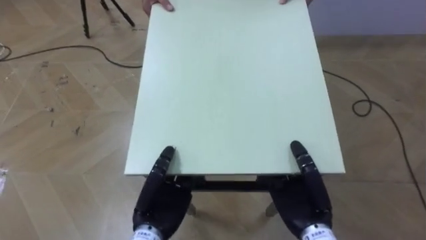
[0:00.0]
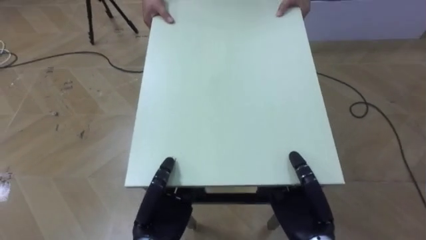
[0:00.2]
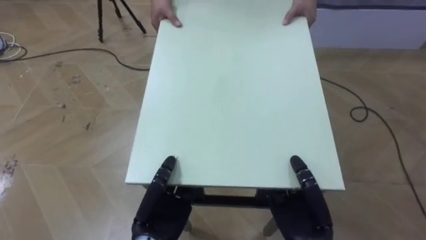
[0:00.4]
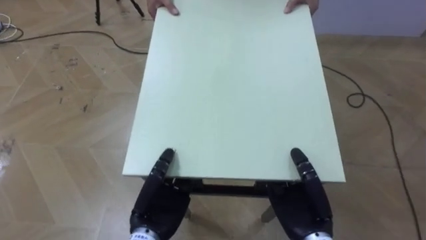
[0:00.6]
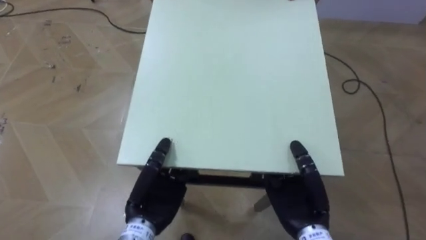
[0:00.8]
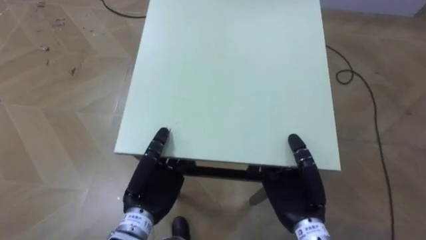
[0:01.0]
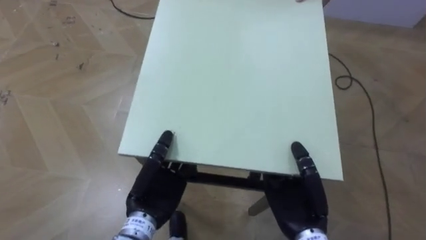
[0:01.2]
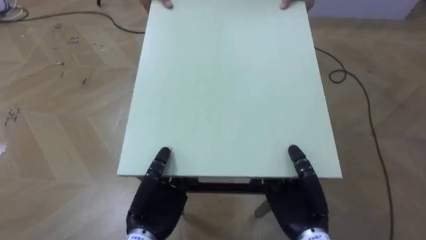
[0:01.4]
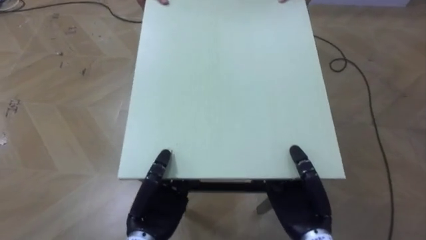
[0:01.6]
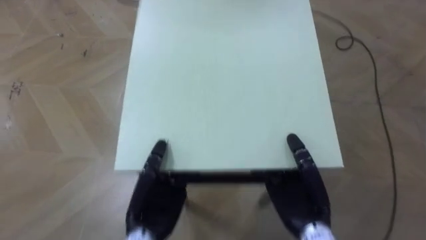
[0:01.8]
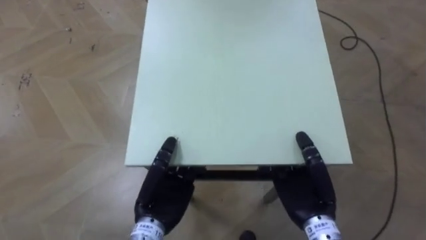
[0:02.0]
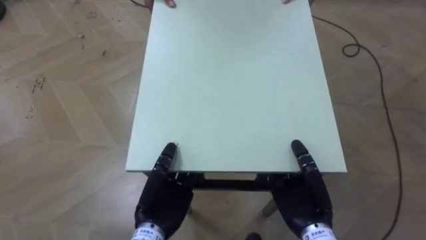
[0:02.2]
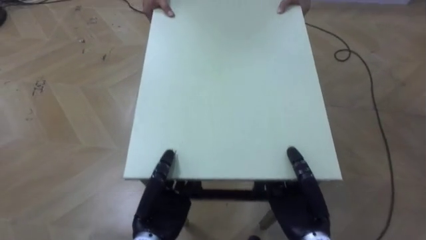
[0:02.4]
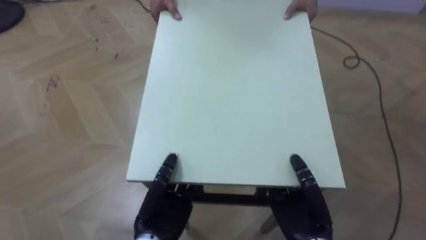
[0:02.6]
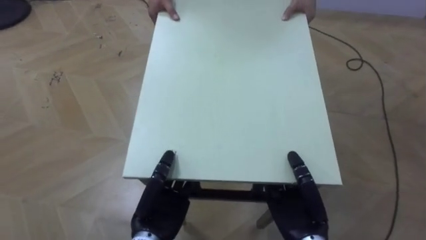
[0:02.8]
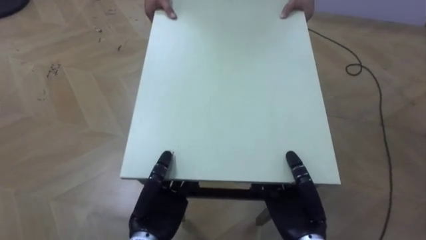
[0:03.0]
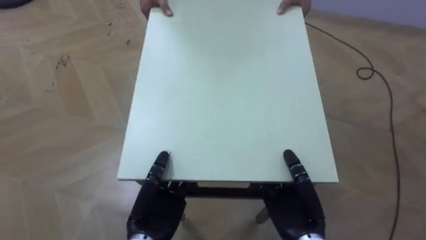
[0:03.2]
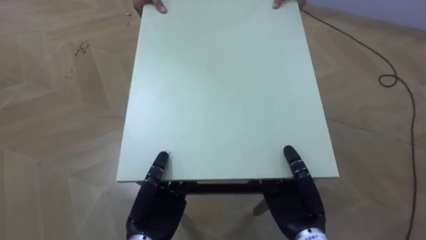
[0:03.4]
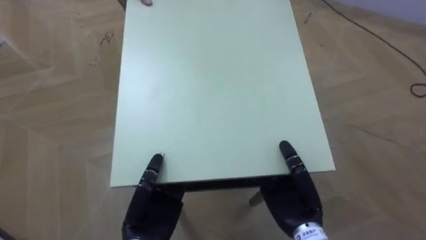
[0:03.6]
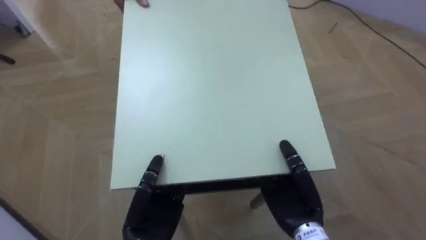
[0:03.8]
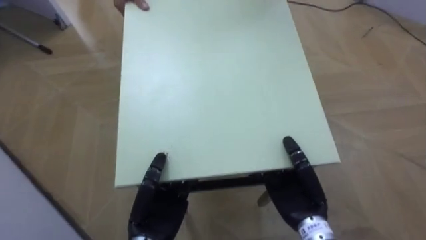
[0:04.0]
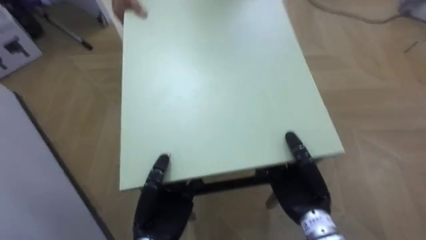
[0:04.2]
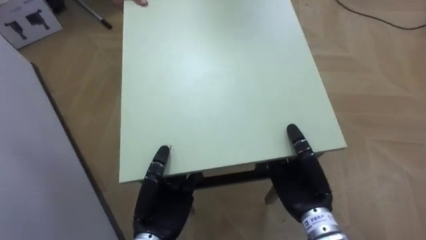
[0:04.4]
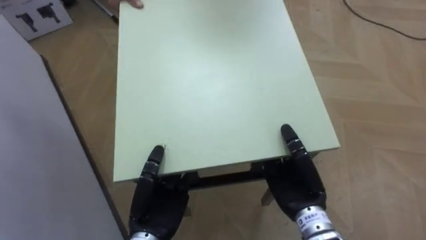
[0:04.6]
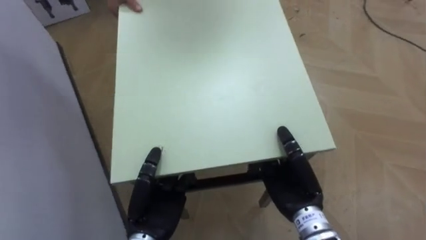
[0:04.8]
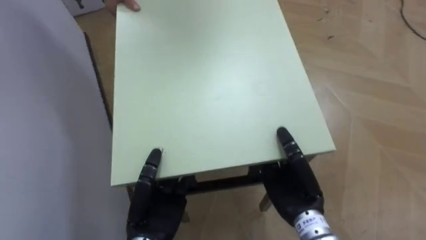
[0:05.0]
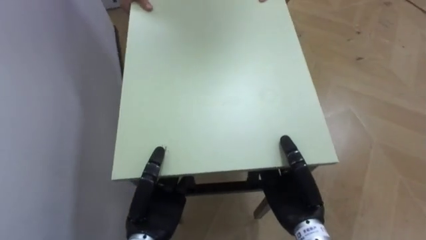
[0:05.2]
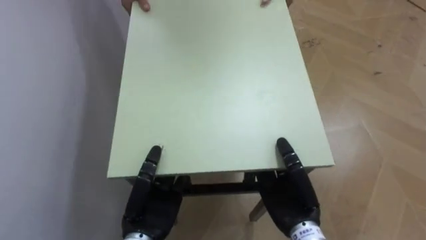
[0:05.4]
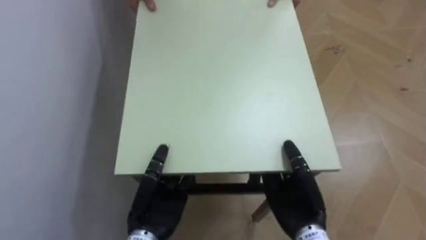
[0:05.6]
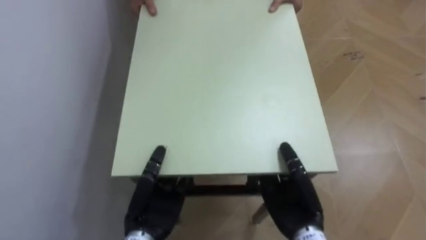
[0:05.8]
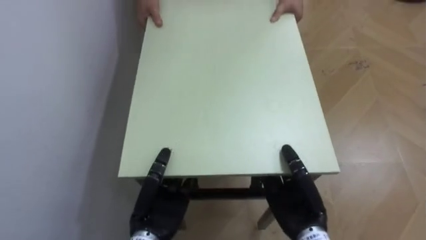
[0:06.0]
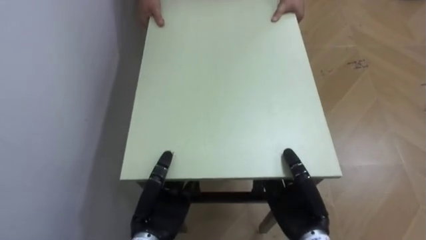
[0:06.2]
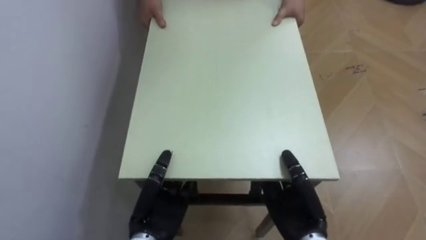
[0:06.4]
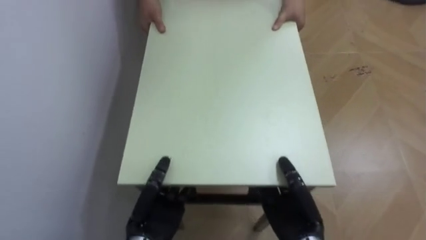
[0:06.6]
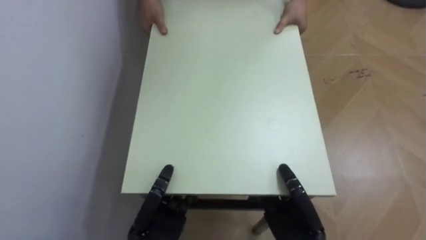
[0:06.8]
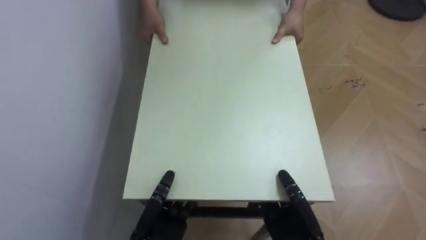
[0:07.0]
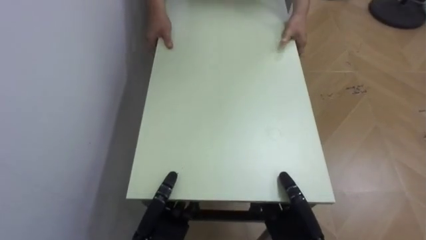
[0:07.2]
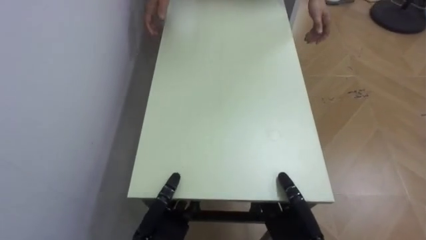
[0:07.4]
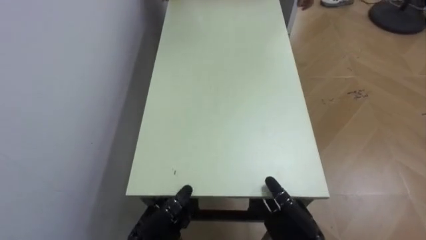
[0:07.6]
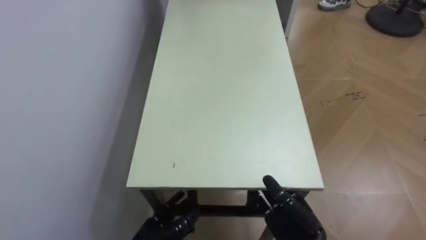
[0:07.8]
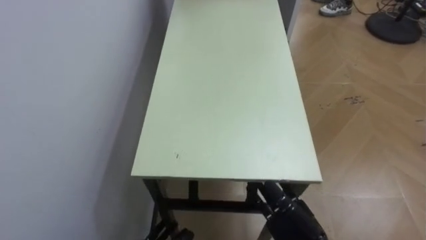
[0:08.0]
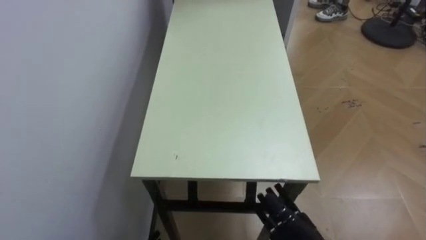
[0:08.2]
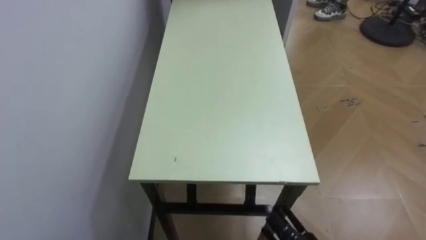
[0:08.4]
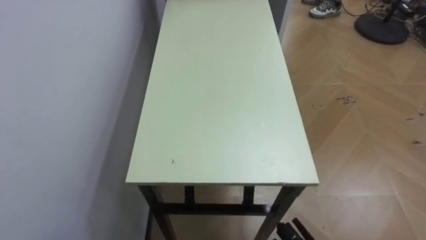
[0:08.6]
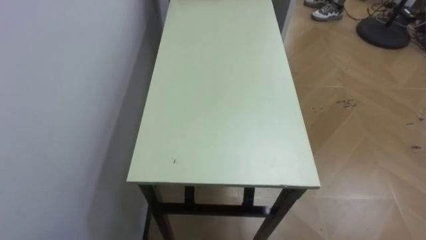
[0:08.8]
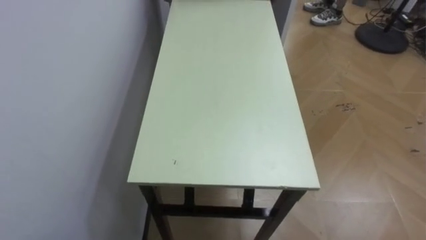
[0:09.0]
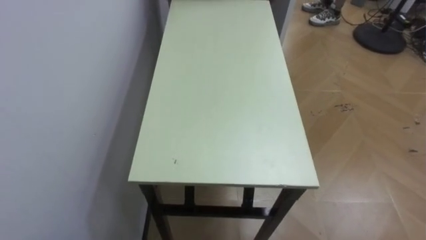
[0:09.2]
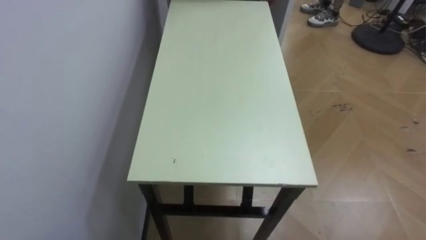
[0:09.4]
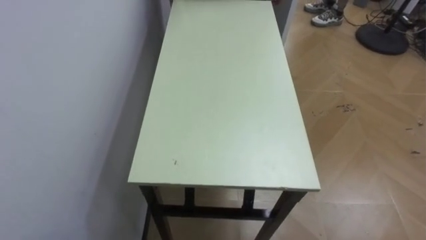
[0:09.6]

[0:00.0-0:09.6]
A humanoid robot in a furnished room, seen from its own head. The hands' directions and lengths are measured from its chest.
Task of the whole recording: Move the table to the back left with someone.
0:03.2 to 0:04.8: The robot rotates approximately 40 degrees to its left.
0:04.8 to 0:06.4: The robot's body swings some 40 degrees to its left.
0:06.4 to 0:08.0: The right hand opens its fingers.

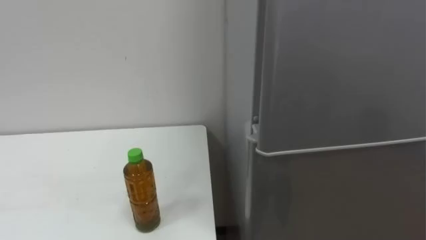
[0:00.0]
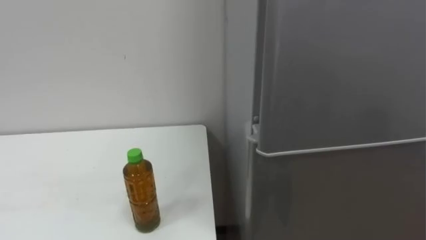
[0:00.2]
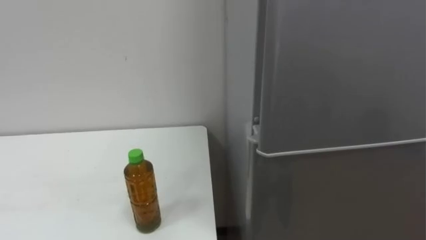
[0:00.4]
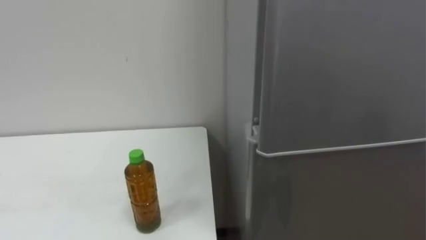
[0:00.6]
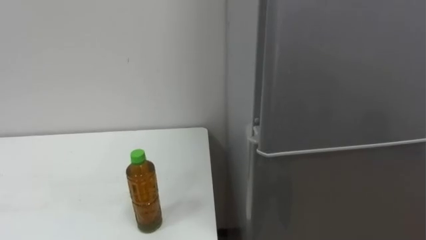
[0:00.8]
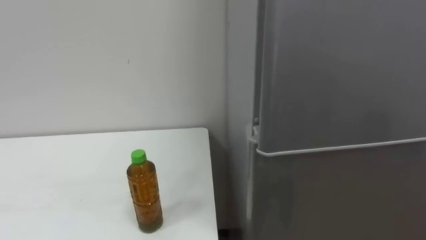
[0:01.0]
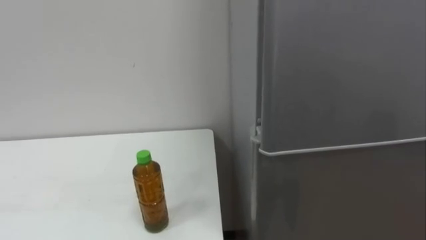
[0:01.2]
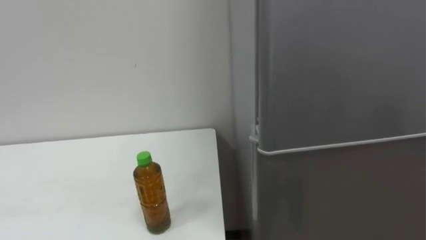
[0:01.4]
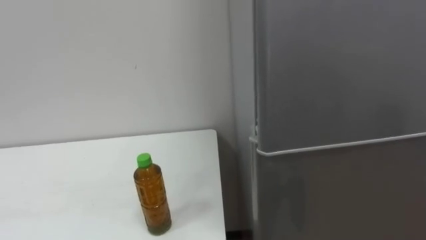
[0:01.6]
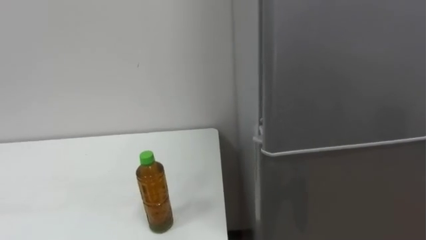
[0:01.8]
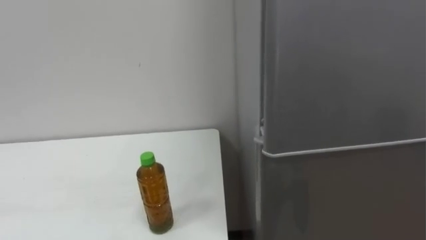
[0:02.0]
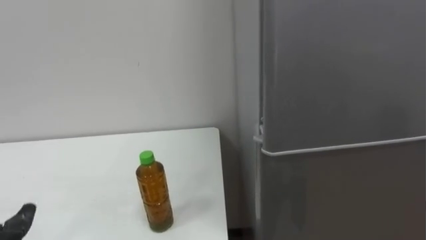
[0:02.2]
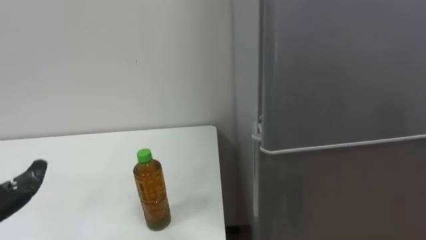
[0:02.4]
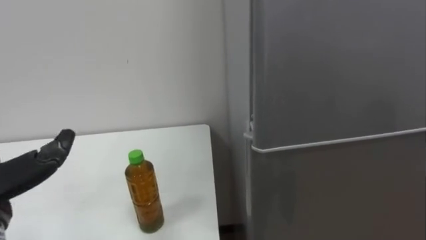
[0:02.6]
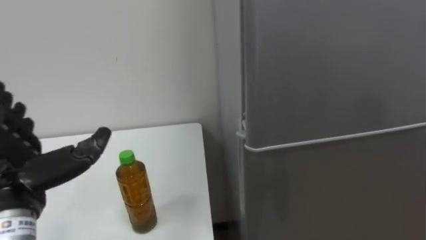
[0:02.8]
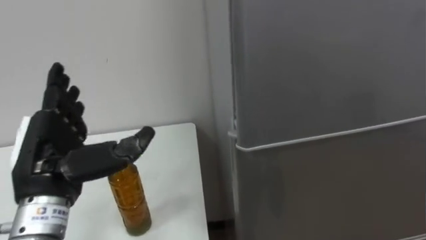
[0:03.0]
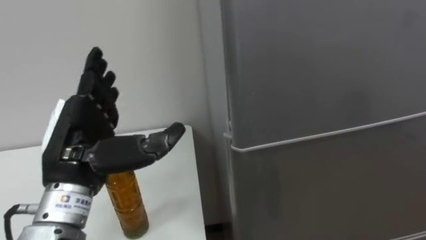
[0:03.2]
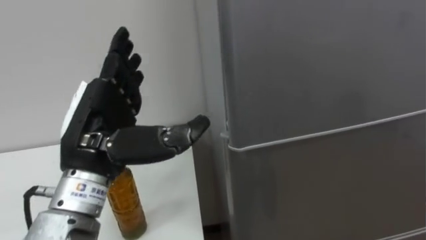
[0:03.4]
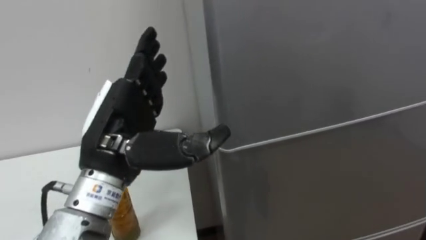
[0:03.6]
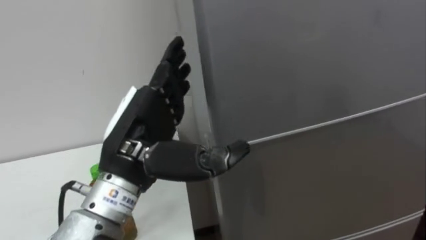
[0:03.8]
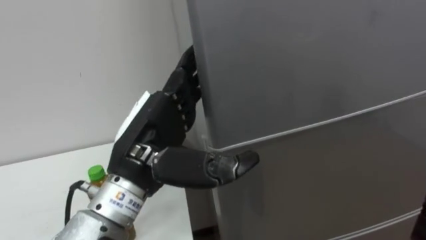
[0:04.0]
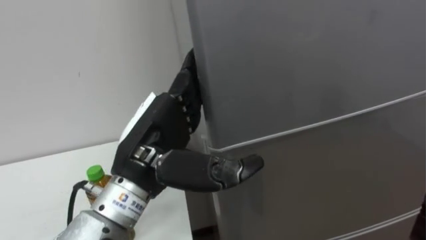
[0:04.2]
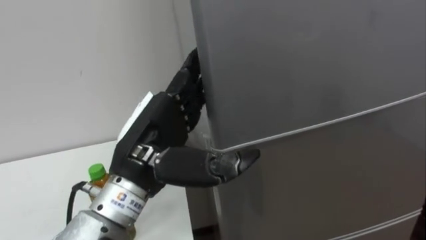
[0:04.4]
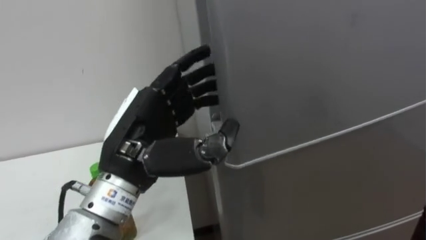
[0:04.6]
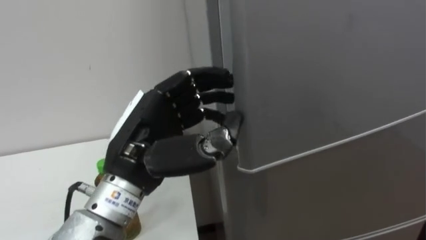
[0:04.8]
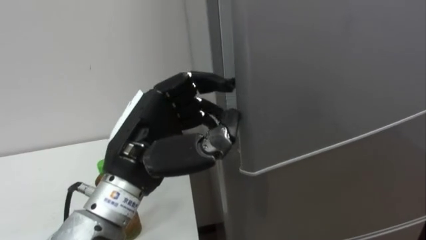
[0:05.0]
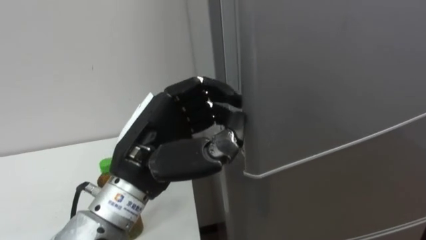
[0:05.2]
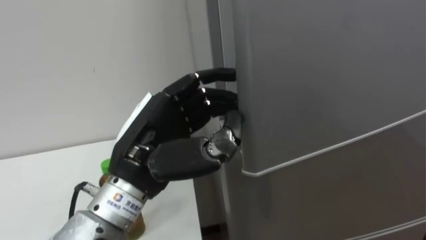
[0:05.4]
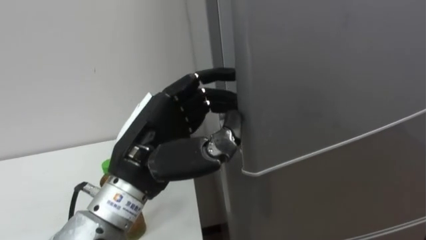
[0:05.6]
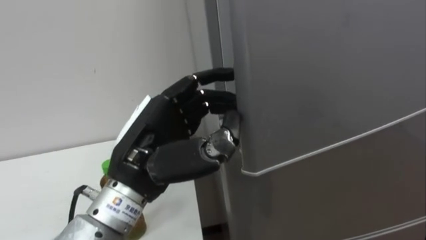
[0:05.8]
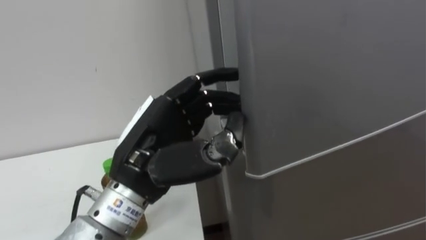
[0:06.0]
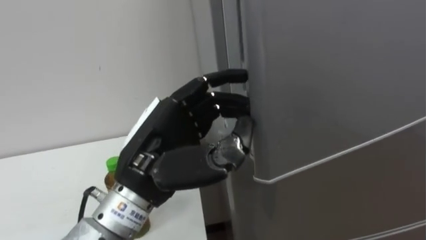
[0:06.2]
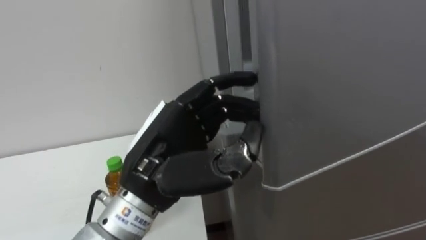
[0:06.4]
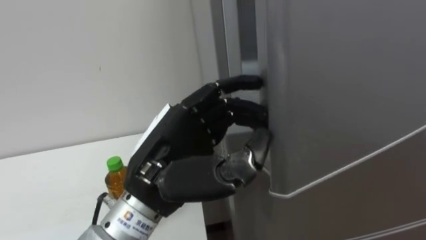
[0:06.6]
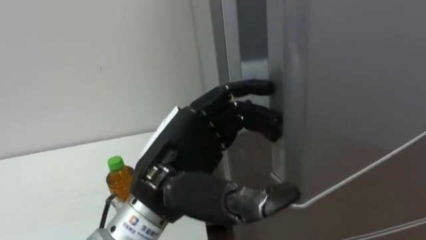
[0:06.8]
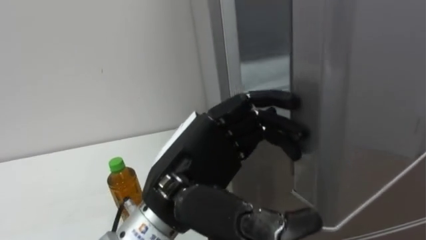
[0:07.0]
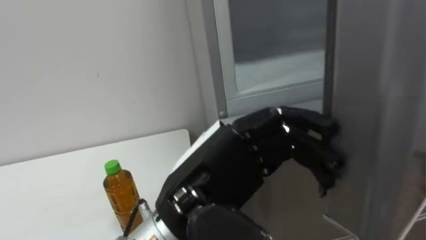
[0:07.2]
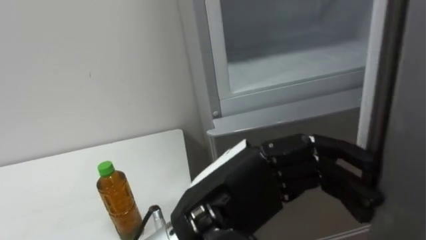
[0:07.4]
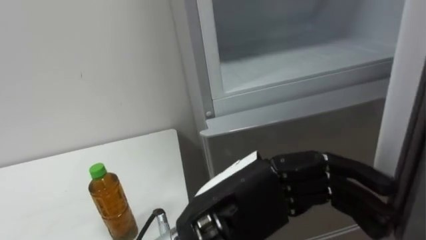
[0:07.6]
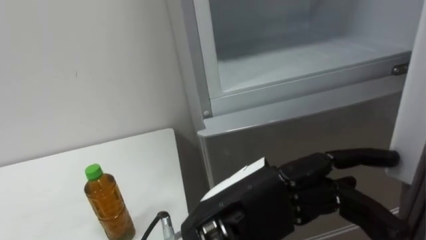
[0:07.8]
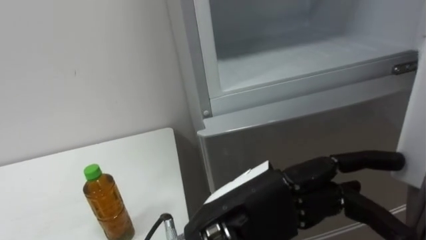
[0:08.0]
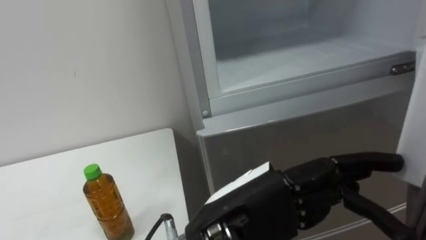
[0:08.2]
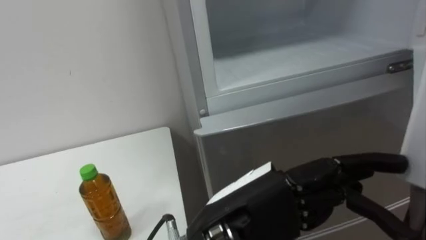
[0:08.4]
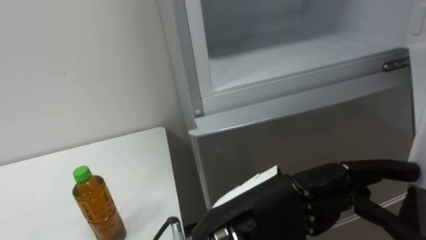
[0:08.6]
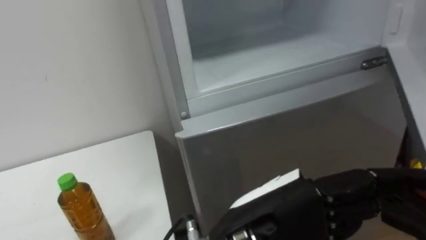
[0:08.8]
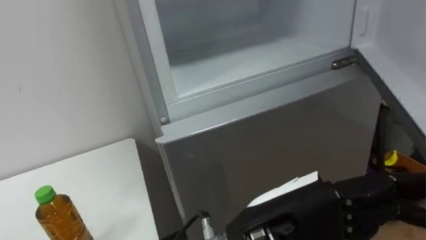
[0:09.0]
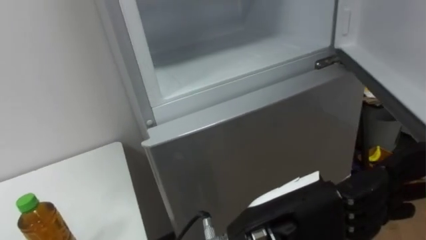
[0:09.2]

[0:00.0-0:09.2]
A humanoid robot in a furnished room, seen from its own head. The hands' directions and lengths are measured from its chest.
Task of the whole recording: Open the upper refrigerator door, put the drink from the table into the refrigerator, and then close the refrigerator door.
0:03.0 to 0:04.6: The left hand moves to the right, some 15 cm.
0:06.2 to 0:07.6: The left hand goes some 10 cm to the right and backward.
0:07.6 to 0:09.2: The left hand travels to the right by some 5 cm.
